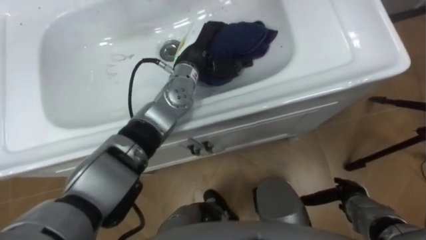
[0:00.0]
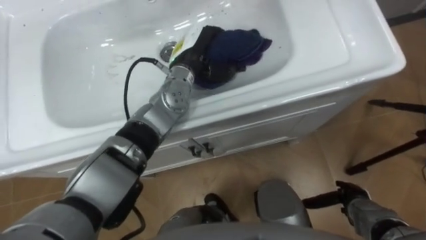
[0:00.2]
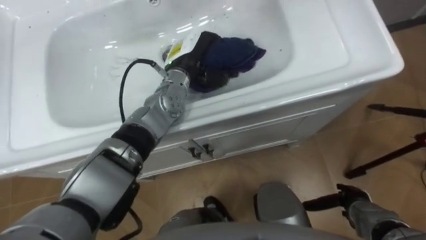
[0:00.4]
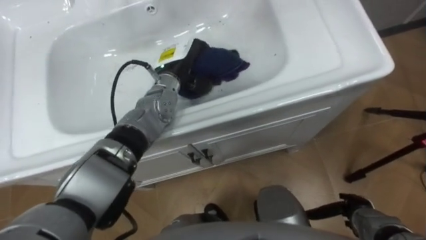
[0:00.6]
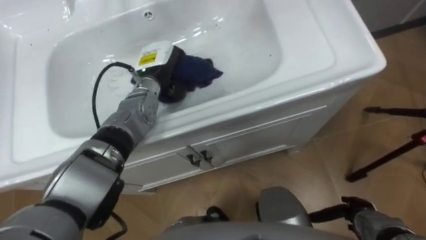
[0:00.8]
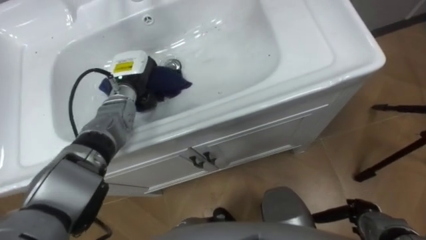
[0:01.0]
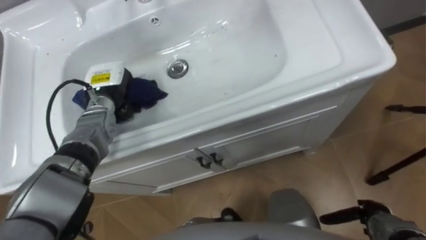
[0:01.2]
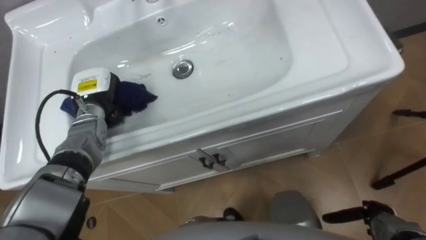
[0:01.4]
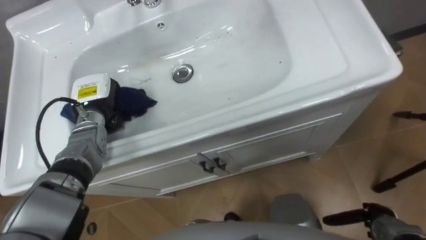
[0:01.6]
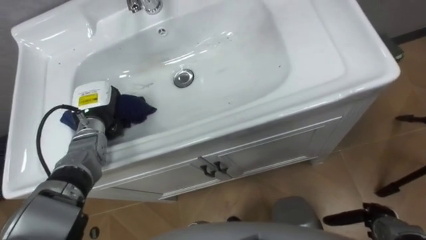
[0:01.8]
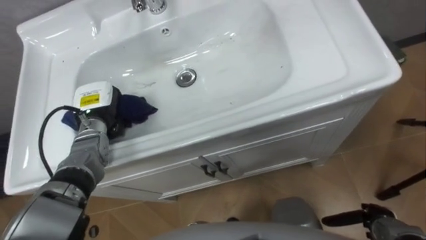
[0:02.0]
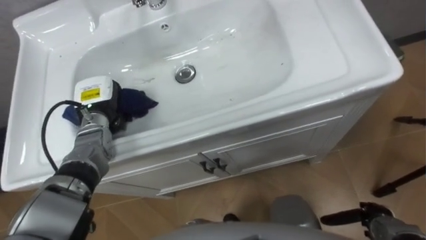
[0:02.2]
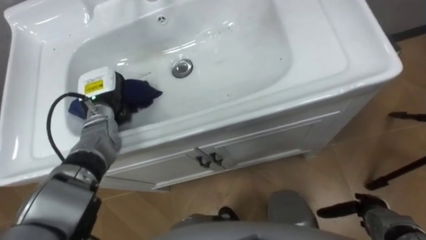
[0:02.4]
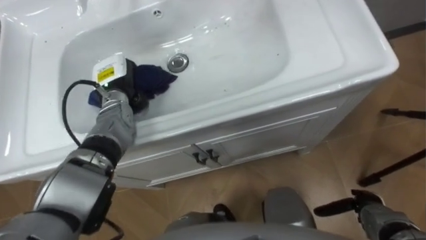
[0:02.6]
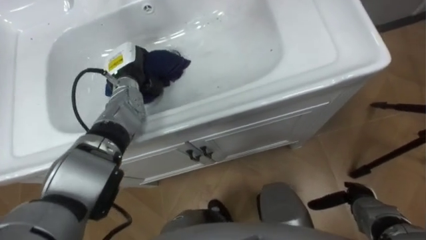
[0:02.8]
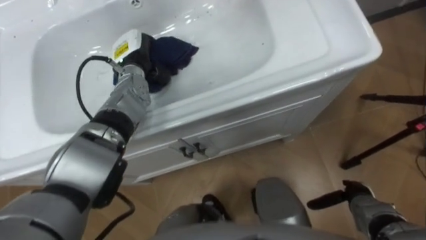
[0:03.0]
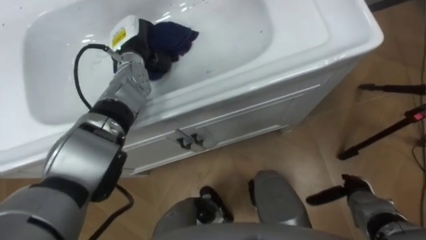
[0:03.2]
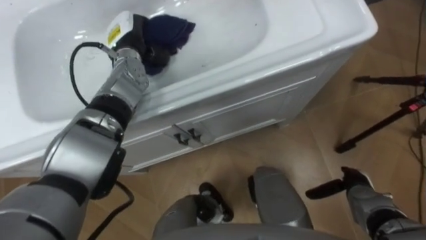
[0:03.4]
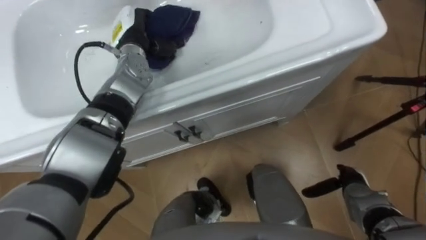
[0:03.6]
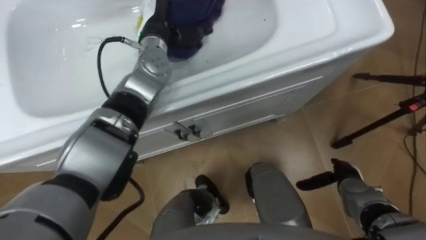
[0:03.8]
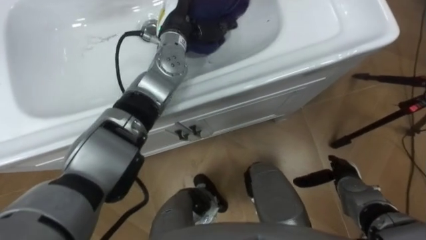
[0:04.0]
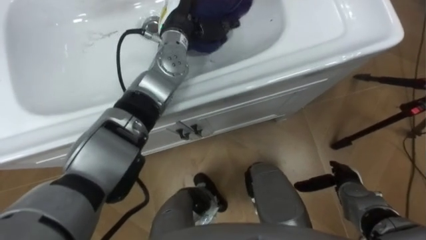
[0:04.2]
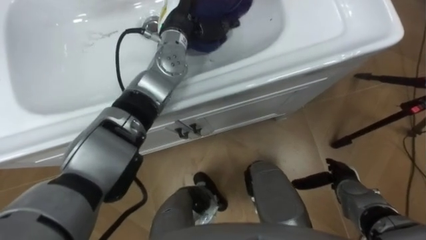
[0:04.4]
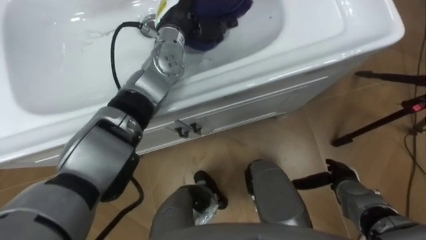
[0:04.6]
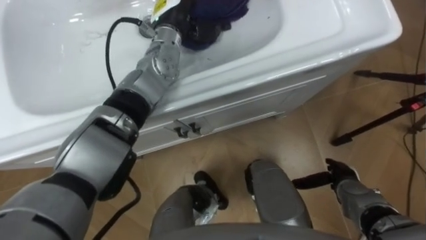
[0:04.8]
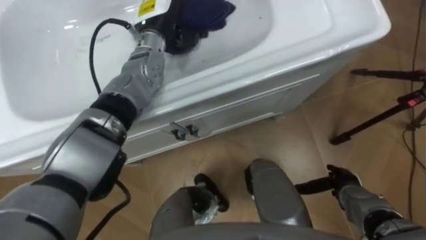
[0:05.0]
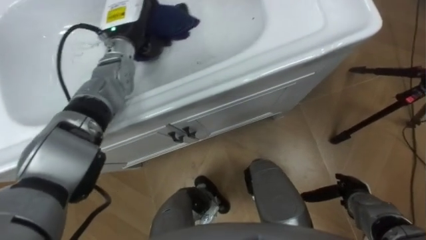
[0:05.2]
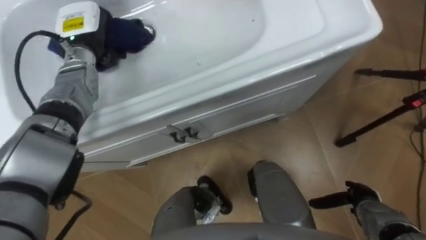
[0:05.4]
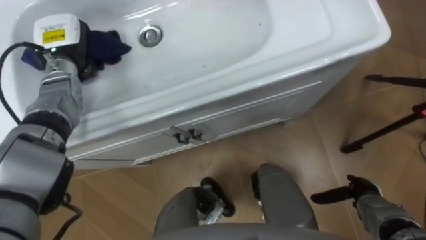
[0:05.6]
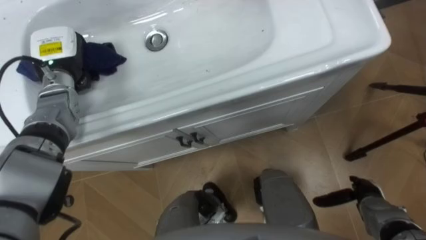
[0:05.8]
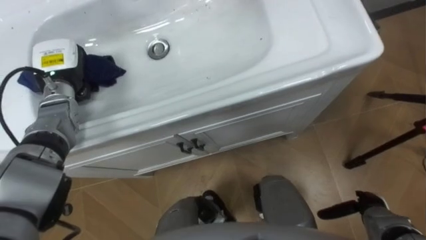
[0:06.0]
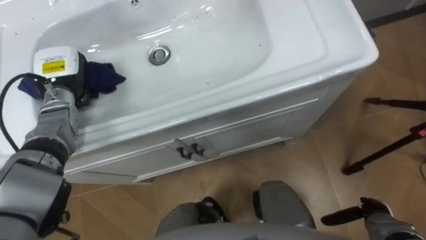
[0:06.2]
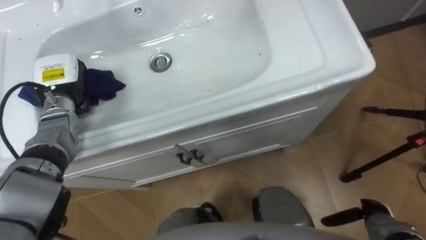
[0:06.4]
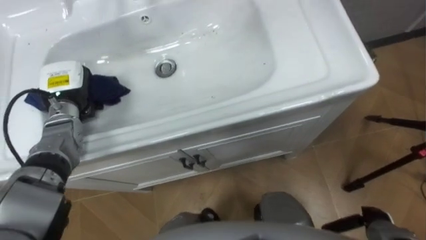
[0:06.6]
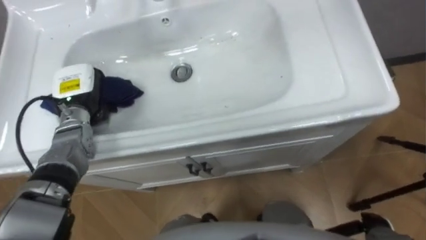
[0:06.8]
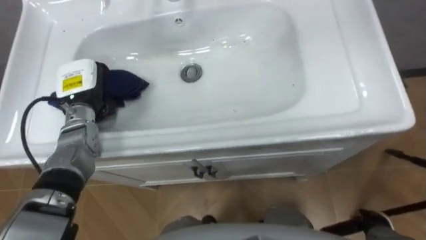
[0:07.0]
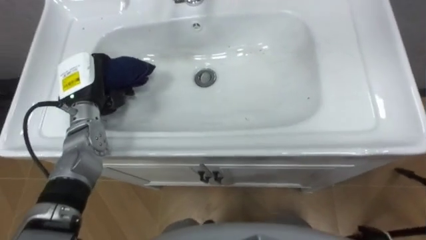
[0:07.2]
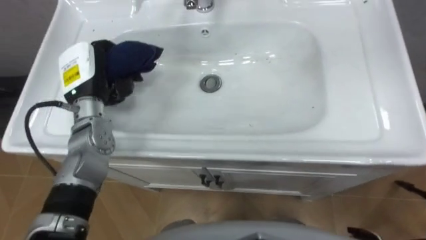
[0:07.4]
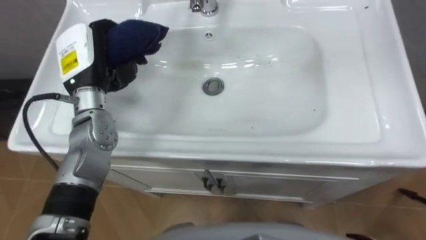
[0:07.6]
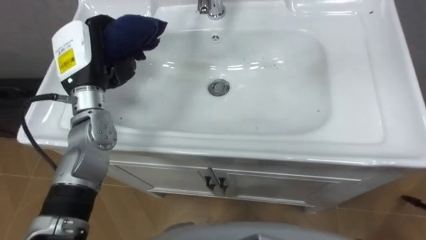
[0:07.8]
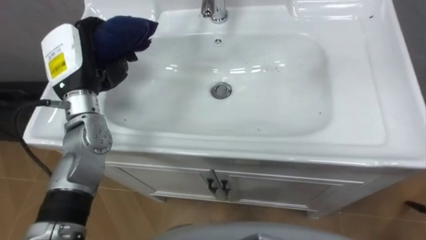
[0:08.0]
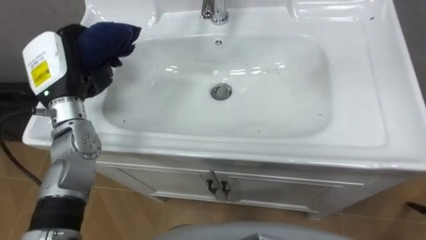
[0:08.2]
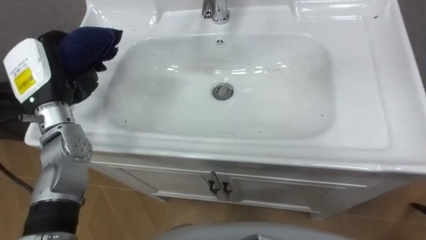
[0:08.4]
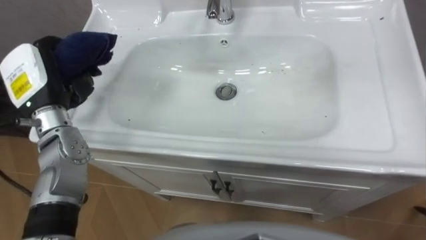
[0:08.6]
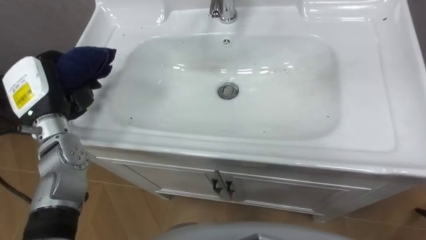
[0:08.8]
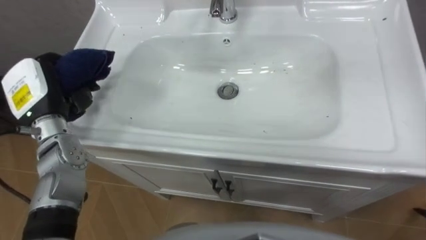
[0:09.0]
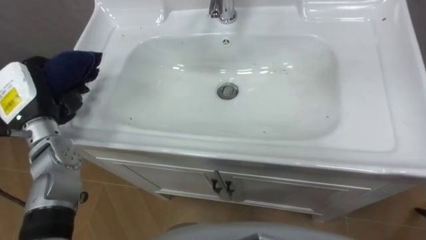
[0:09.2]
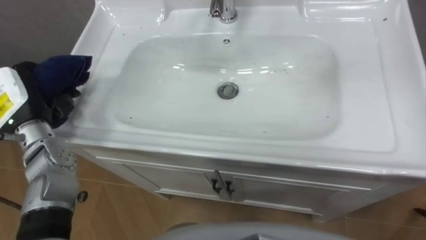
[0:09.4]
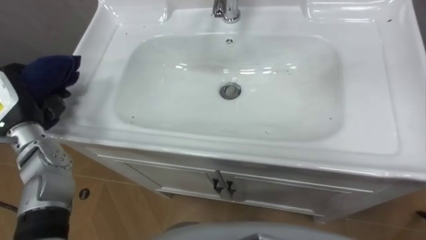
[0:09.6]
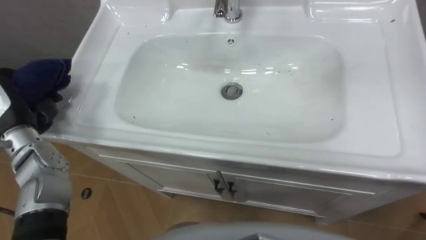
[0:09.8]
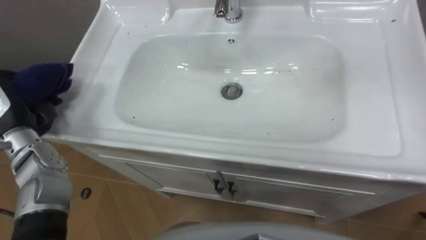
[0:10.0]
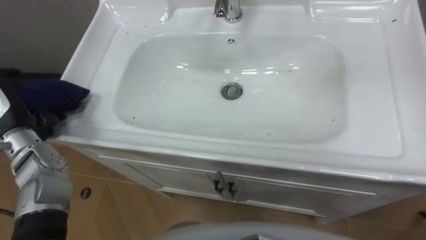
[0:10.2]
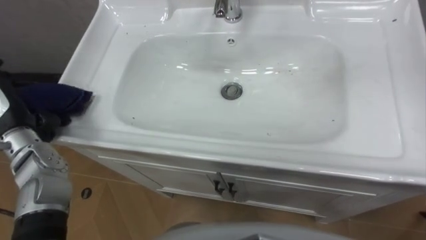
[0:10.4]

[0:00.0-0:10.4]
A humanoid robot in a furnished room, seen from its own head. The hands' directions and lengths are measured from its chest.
Task of the whole recording: Use the cloth on the right to wipe away the black stain in the sink.
0:00.0 to 0:01.4: The right hand ends up roughly 5 cm from where it was. The left hand goes some 20 cm to the left.
0:01.4 to 0:03.0: The left hand moves to the right and forward, roughly 10 cm, while the right hand shifts by approximately 5 cm.
0:03.0 to 0:04.4: The left hand heads to the right and upward, covering some 15 cm.
0:04.4 to 0:06.0: The right hand goes some 10 cm backward and to the right. Meanwhile the left hand moves to the left, approximately 25 cm.
0:06.0 to 0:07.4: The left hand heads to the right, covering approximately 5 cm.
0:07.4 to 0:09.0: The left hand shifts roughly 5 cm to the left.

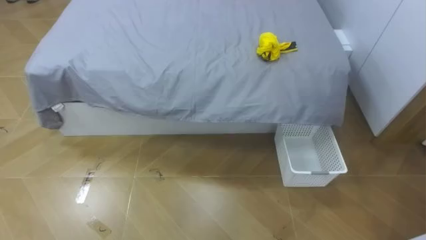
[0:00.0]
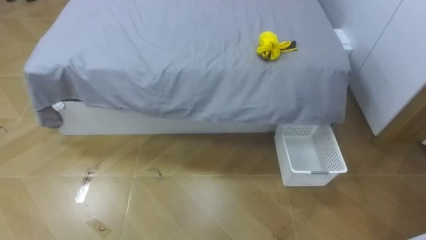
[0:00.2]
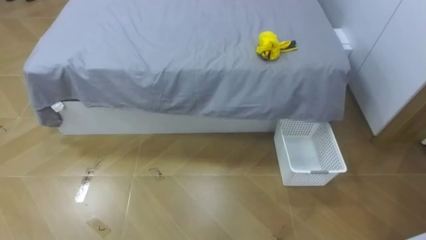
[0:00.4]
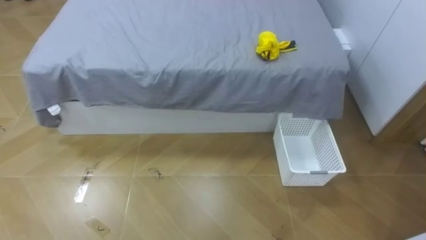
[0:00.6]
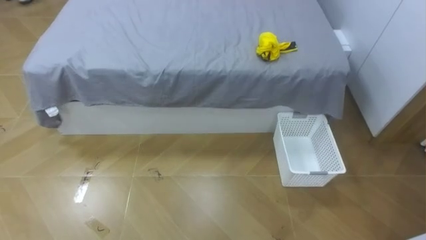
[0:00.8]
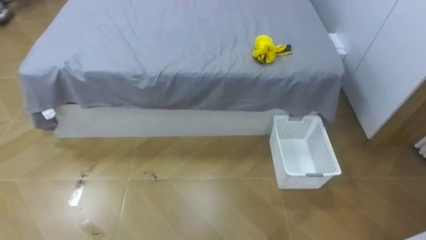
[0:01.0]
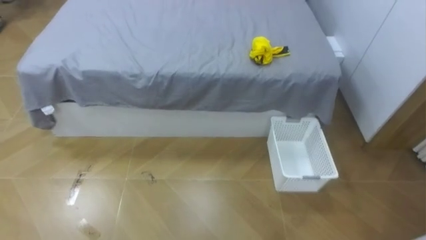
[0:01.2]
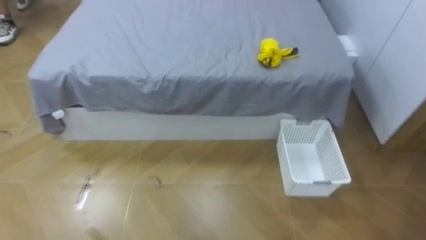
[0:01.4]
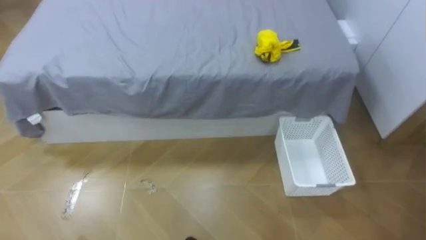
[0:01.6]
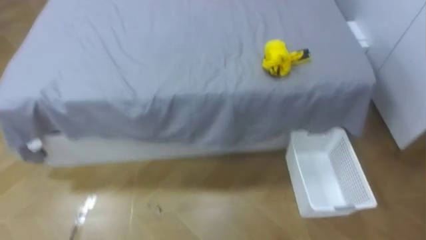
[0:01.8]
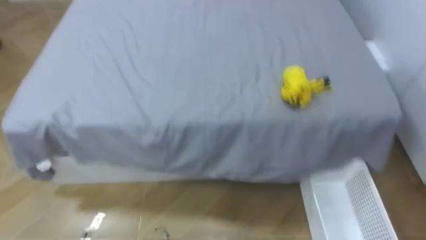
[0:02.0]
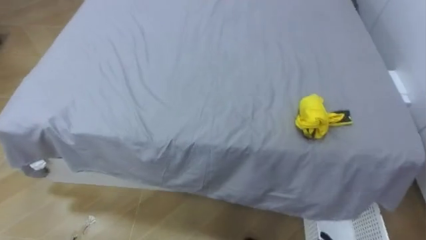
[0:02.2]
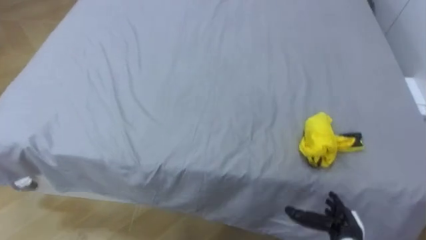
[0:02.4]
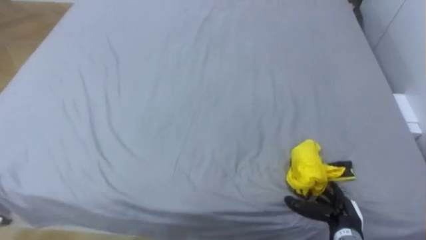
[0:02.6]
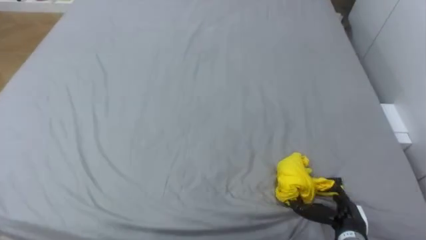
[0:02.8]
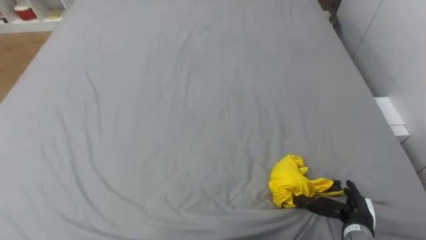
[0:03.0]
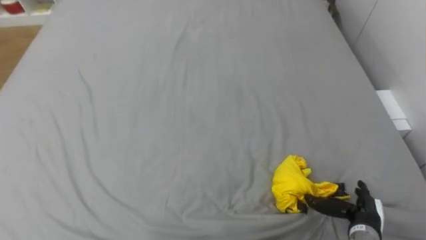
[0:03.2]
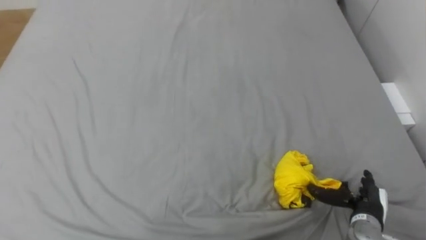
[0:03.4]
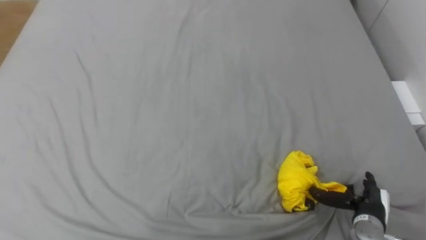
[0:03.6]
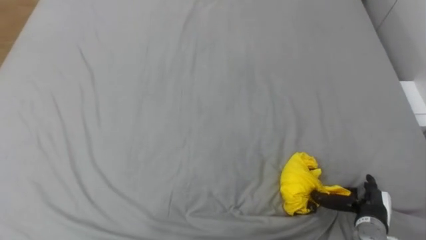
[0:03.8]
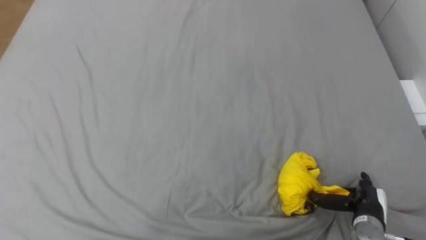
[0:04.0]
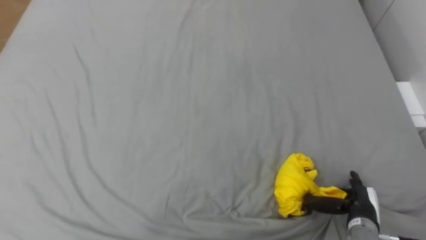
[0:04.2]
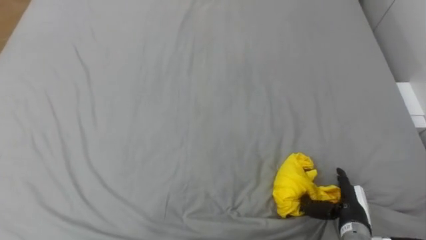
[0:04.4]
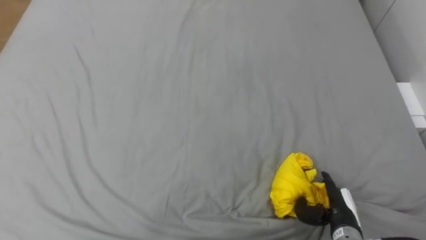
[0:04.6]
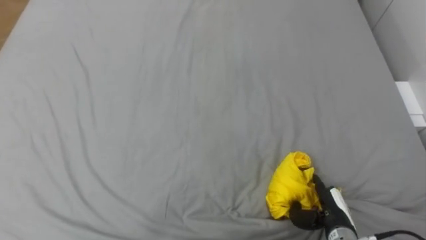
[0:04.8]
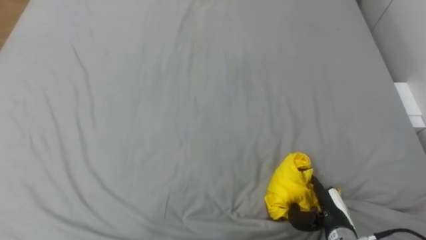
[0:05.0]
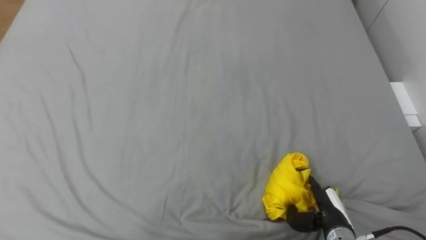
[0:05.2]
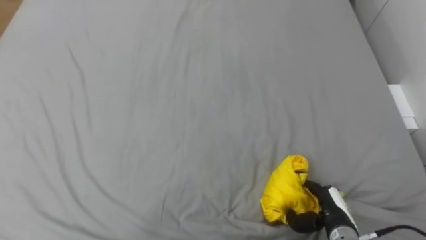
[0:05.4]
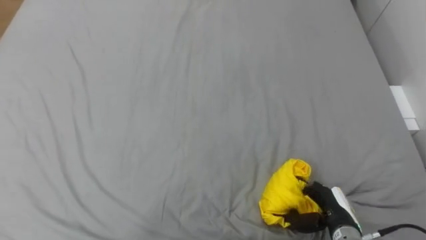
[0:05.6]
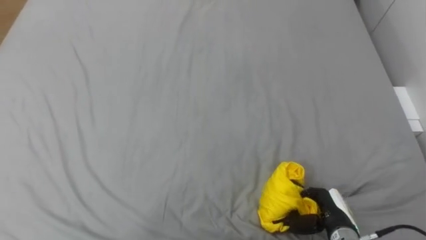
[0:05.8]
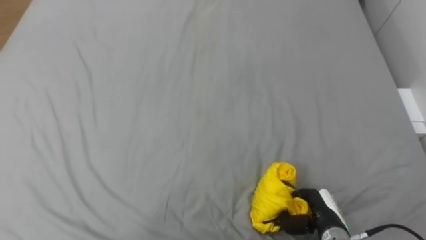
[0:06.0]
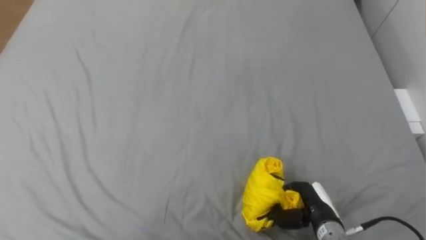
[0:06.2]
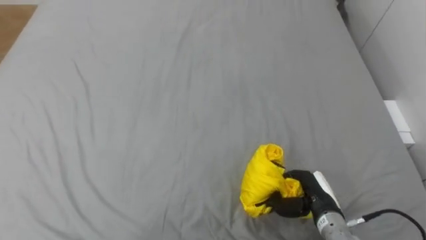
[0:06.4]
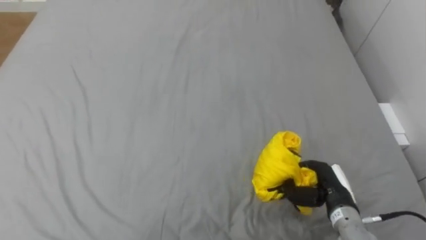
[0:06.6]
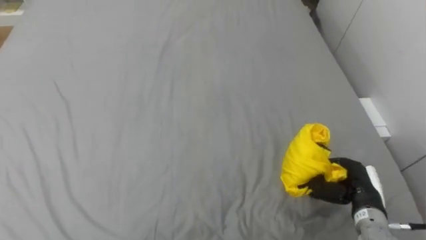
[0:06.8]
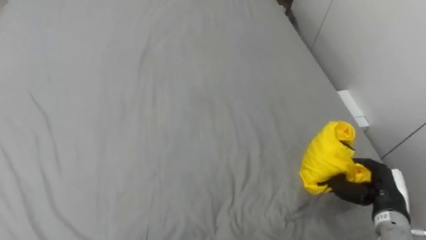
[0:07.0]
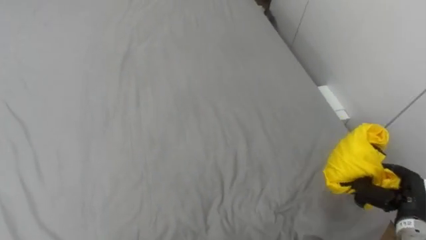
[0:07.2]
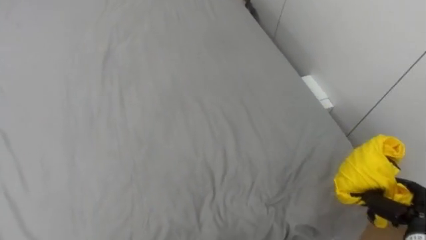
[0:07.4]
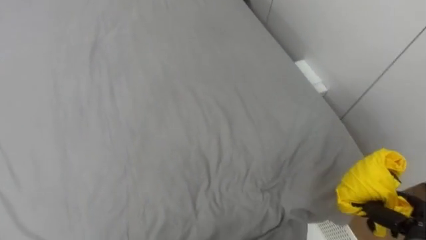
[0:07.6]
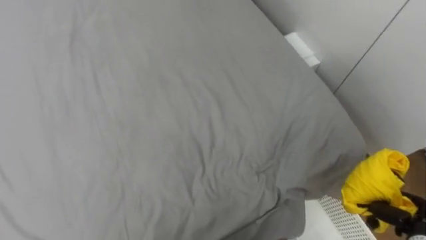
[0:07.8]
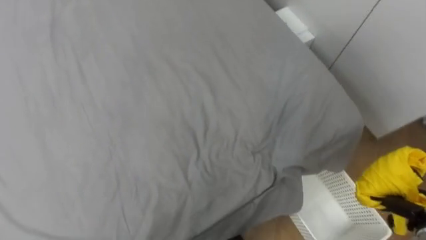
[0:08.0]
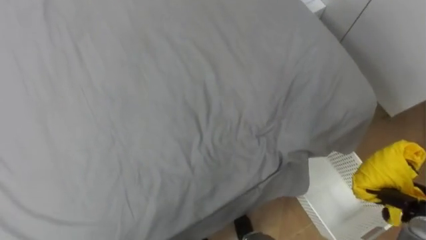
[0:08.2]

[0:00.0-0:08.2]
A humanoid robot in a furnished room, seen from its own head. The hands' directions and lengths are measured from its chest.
Task of the whole recording: Pick up the yellow clothes on the bed and place them into the white basket on the right.
0:03.2 to 0:05.0: The right hand shifts approximately 5 cm to the left.
0:05.0 to 0:06.6: The right hand shifts by roughly 5 cm, and closes.
0:06.6 to 0:08.2: The right hand heads to the right, covering roughly 15 cm.
